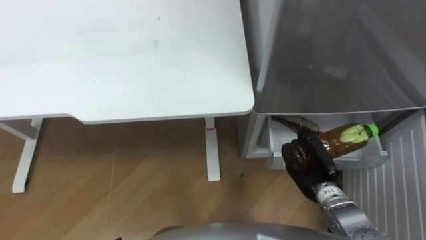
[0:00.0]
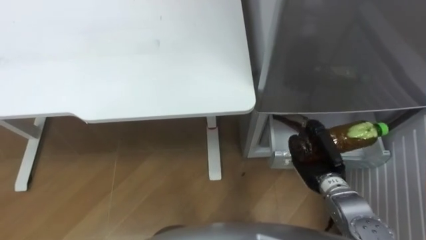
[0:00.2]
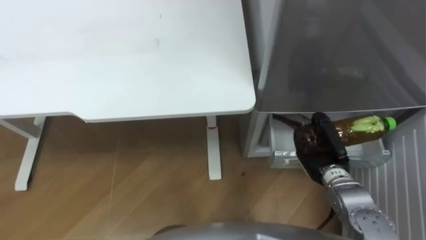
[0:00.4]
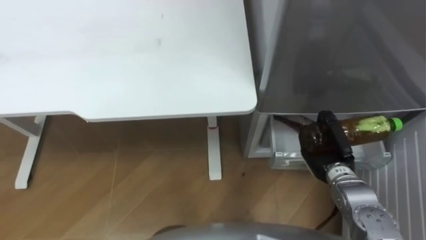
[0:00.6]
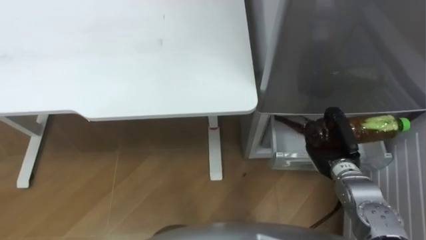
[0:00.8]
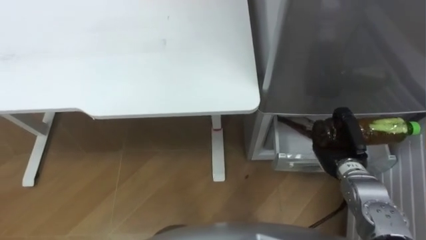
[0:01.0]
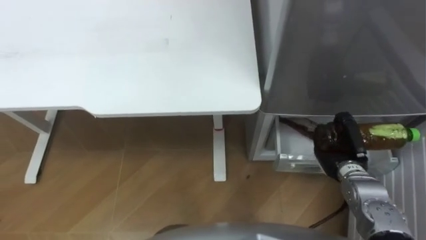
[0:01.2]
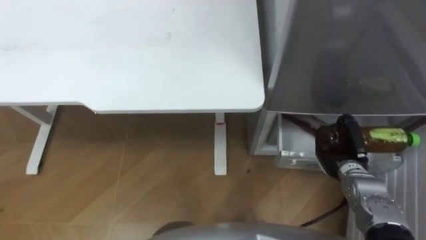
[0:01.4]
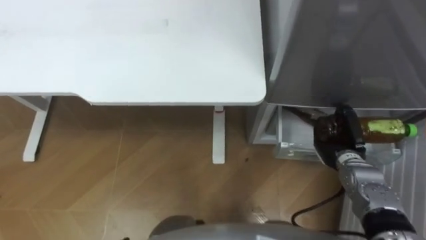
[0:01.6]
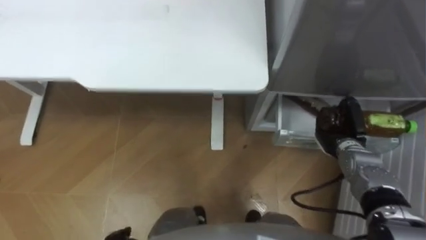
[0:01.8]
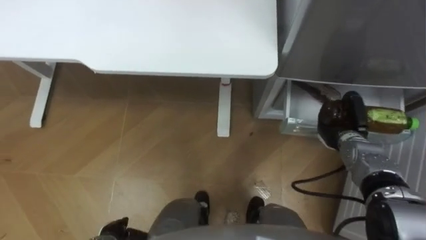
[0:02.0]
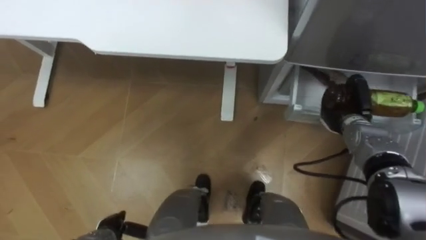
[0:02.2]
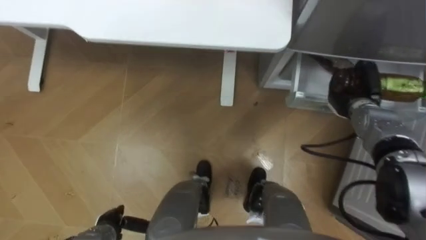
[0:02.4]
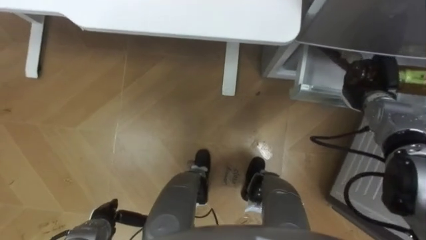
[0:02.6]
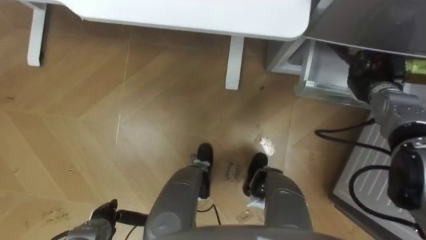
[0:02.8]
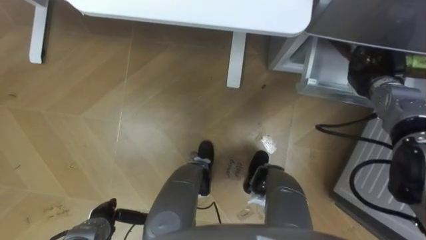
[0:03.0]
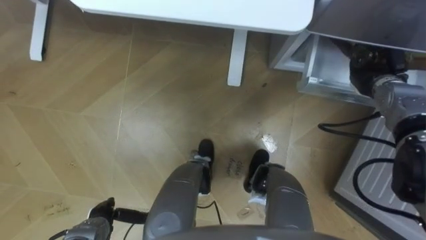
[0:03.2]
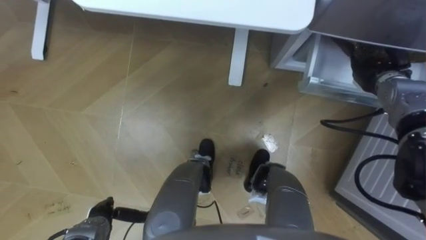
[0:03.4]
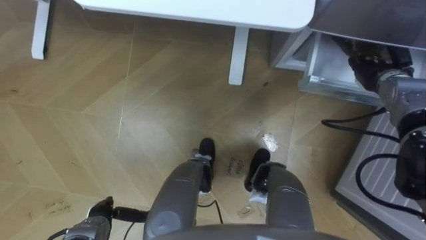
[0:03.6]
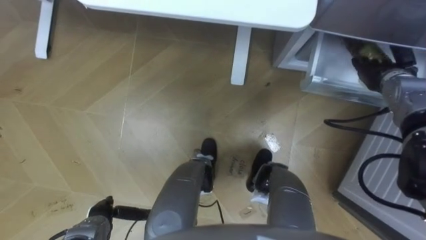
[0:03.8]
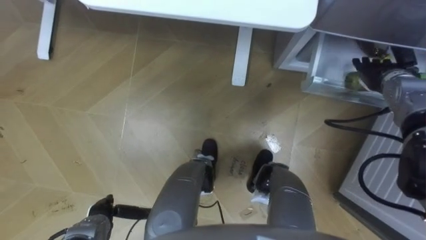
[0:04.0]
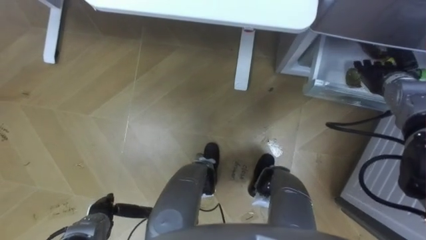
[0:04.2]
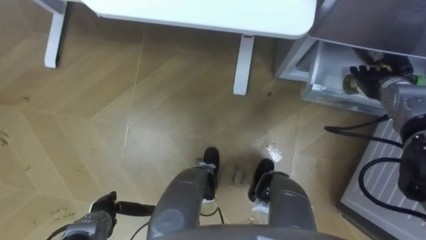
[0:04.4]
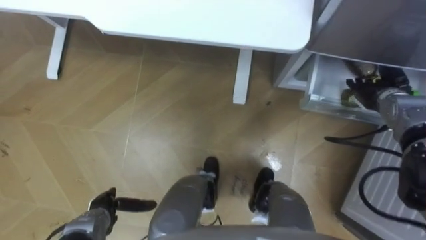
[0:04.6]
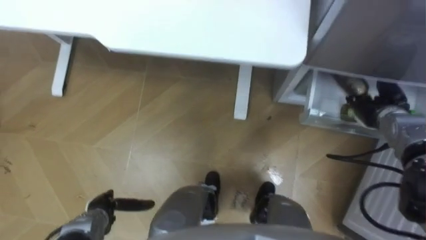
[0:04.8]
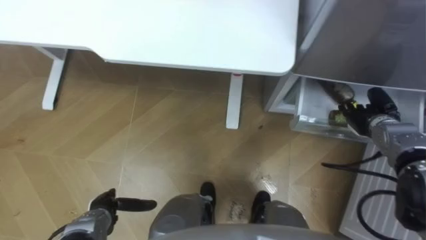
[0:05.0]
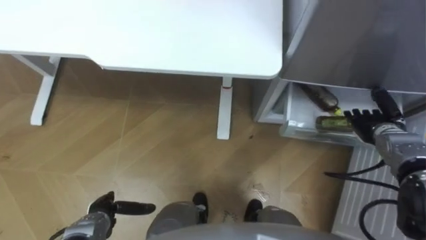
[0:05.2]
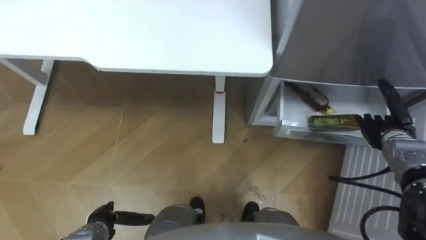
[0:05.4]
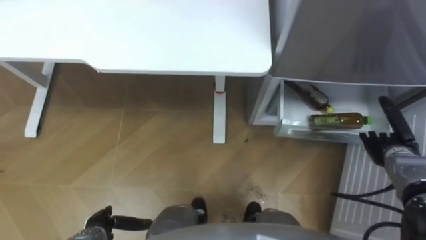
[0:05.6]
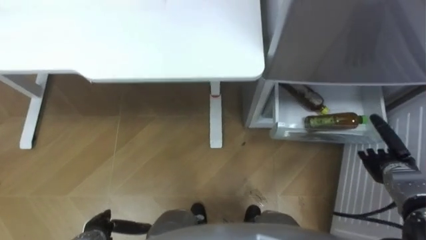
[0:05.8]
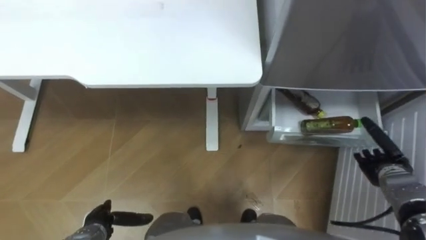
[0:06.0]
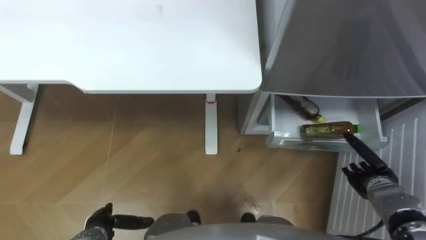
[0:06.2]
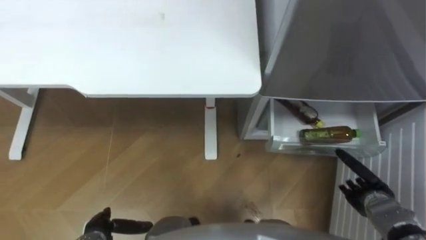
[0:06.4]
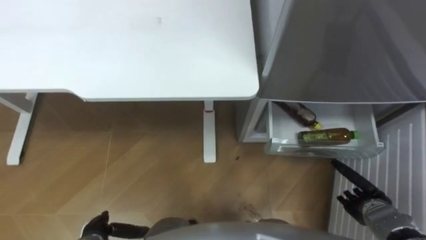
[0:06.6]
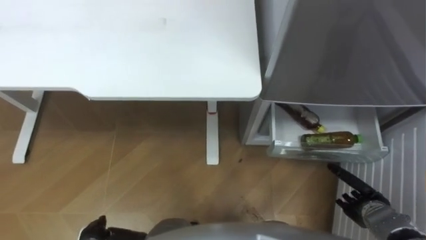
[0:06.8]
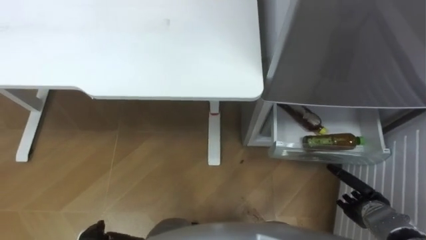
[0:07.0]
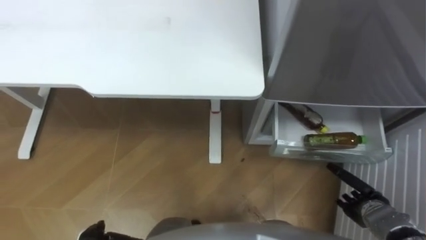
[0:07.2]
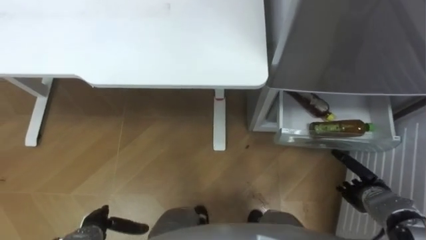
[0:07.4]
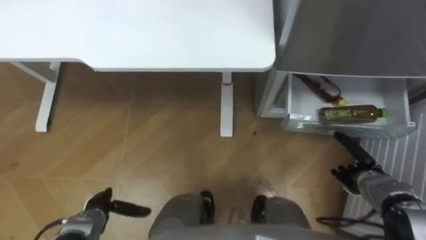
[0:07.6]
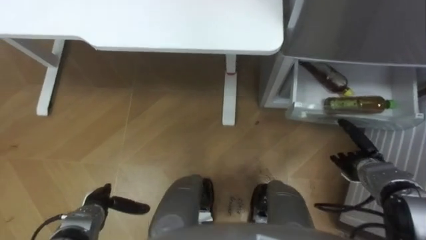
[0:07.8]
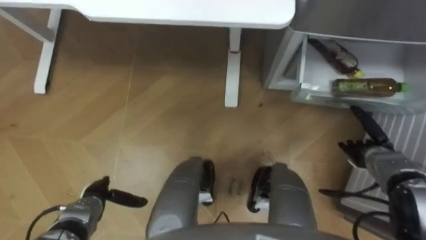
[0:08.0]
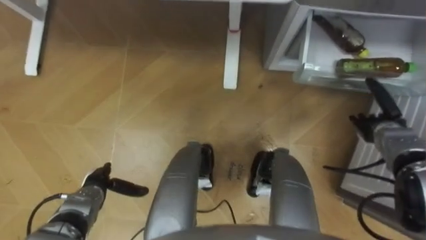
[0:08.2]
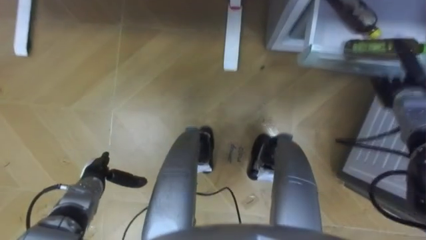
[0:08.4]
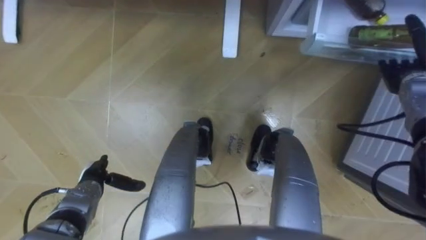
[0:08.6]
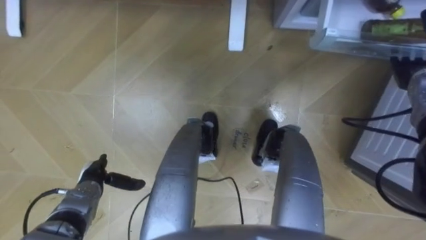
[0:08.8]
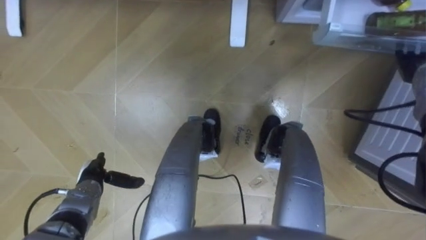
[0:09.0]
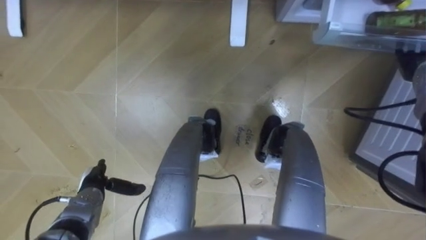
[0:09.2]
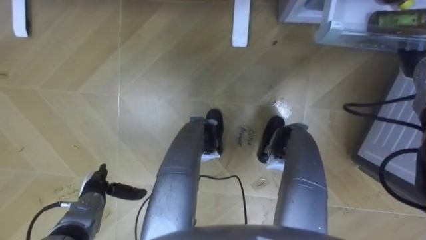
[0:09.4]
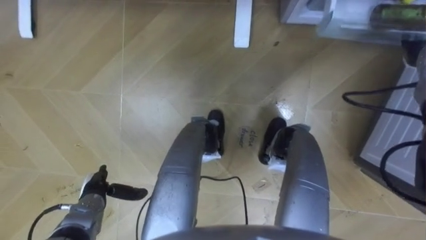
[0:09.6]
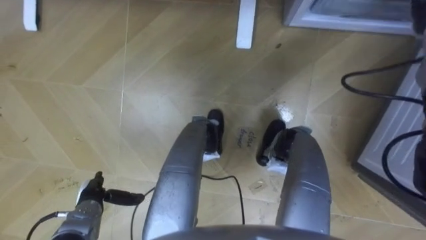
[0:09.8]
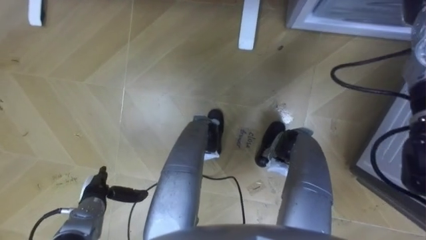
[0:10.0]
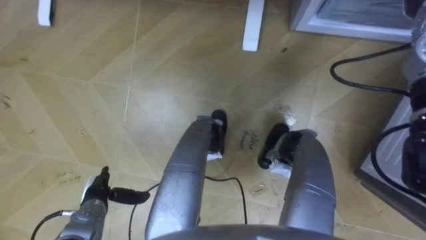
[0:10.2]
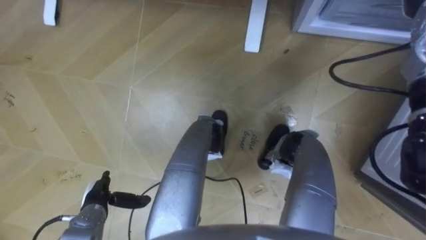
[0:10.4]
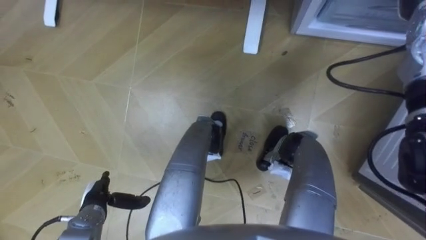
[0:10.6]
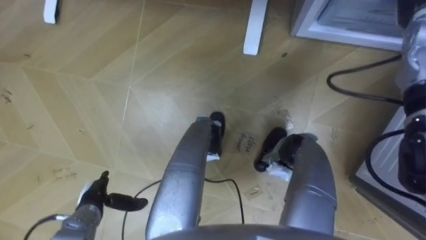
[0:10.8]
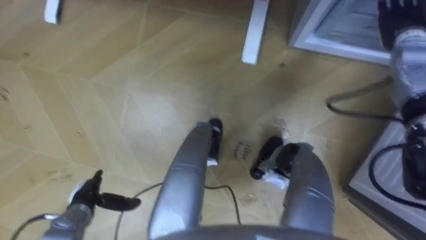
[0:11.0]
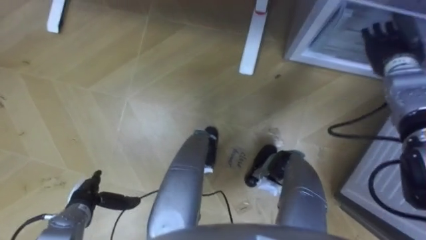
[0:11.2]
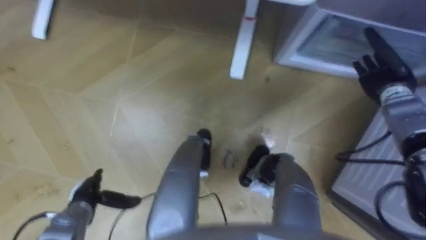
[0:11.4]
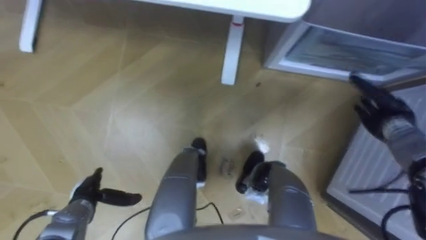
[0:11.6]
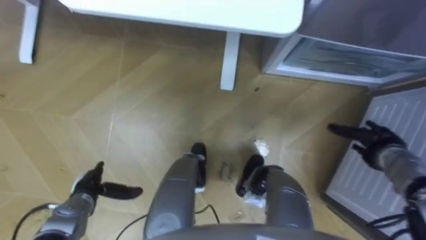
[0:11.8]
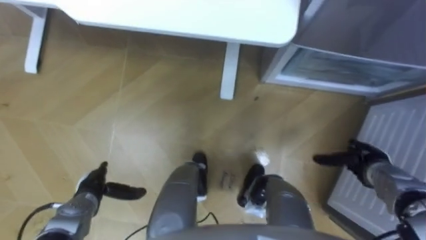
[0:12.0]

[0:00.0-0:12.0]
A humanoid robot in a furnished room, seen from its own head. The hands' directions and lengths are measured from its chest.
Task of the whole recording: Place the drink on the table on the bottom shelf of the refrigerator, then close the drawer and the refrigerator door.
0:00.0 to 0:01.6: The right hand travels to the right and forward by roughly 10 cm.
0:01.6 to 0:03.0: The right hand heads forward, upward and to the right, covering some 15 cm.
0:03.0 to 0:04.4: The right hand opens its fingers.
0:04.4 to 0:06.0: The right hand goes roughly 20 cm backward and downward.
0:06.0 to 0:07.6: The right hand moves some 10 cm backward and comes back.
0:07.6 to 0:09.0: The right hand travels upward and forward by roughly 25 cm; the left hand moves forward, about 5 cm.
0:09.0 to 0:10.4: The left hand ends up some 5 cm from where it was.

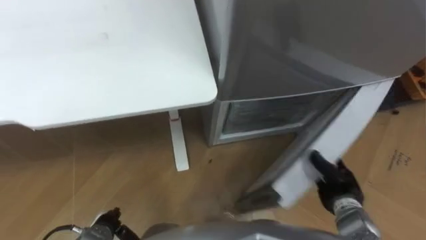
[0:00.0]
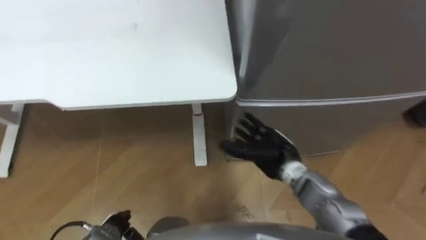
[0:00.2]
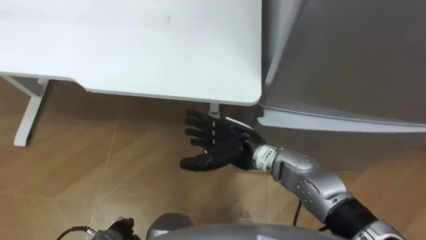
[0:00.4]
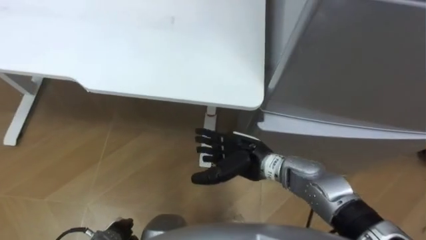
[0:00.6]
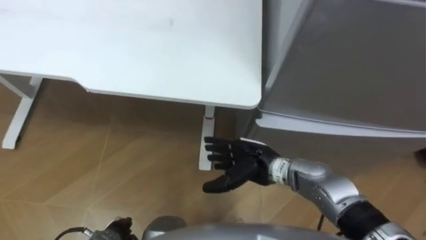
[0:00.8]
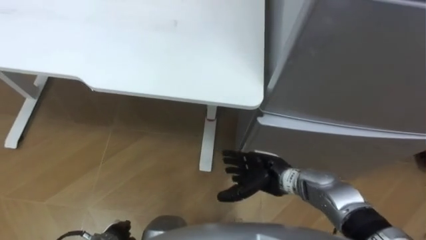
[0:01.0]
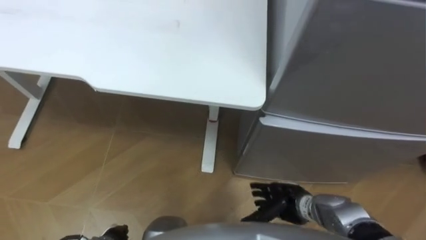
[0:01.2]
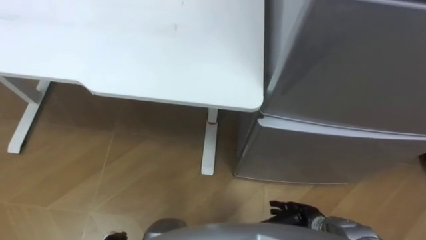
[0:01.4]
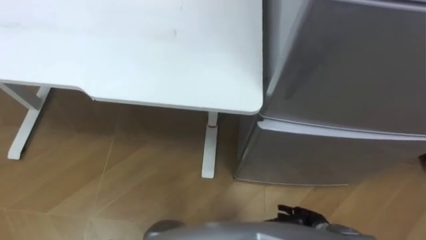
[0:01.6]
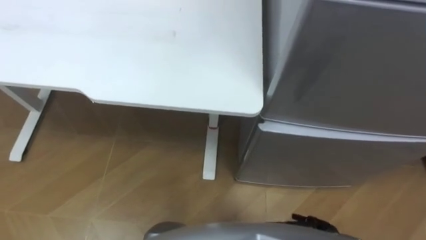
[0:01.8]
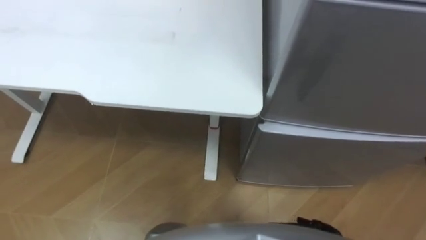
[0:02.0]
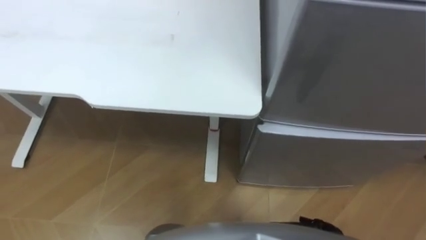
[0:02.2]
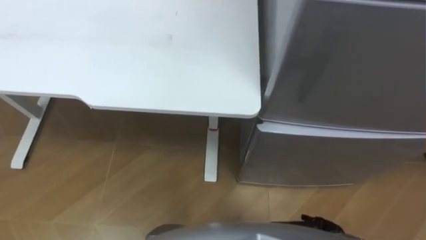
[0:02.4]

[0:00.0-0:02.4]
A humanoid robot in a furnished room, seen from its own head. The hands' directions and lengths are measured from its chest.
Task of the whole recording: Place the drink on the table on the bottom shelf of the refrigerator, then close the drawer and the refrigerator door.
0:00.0 to 0:01.2: The right hand shifts about 15 cm to the left.

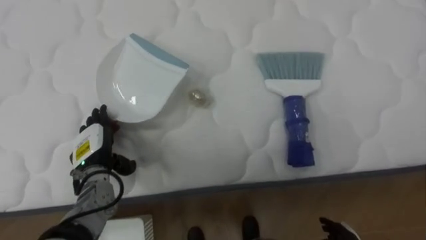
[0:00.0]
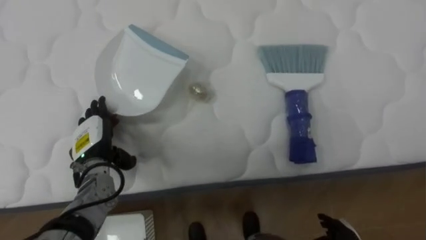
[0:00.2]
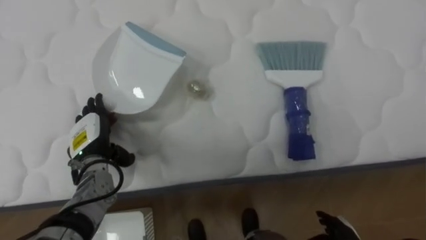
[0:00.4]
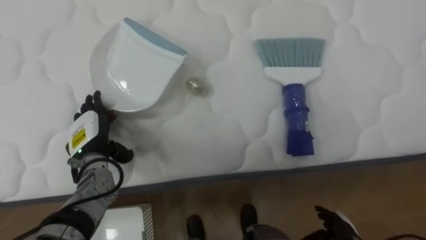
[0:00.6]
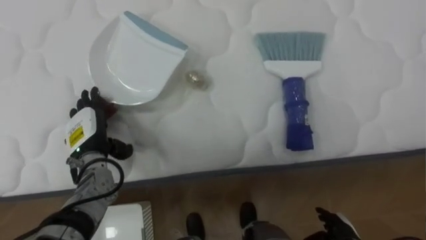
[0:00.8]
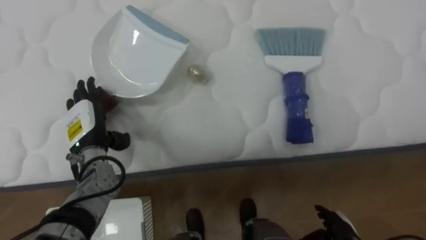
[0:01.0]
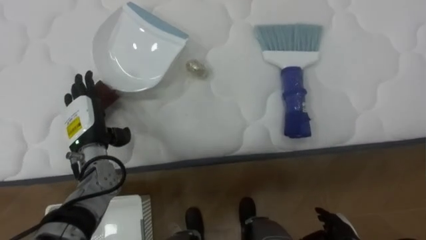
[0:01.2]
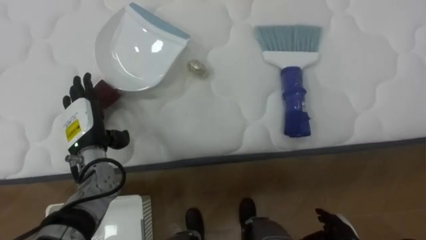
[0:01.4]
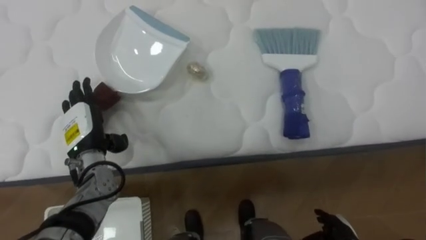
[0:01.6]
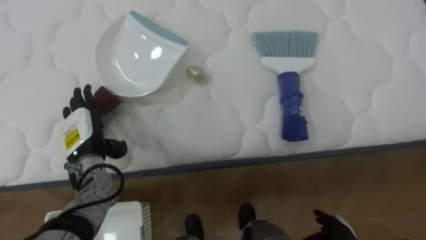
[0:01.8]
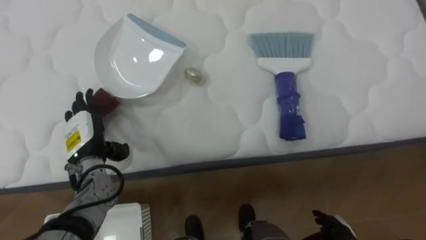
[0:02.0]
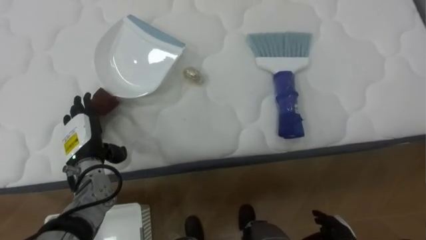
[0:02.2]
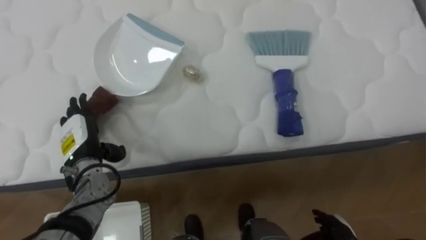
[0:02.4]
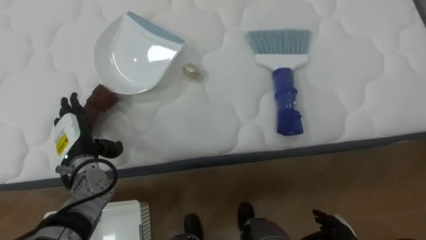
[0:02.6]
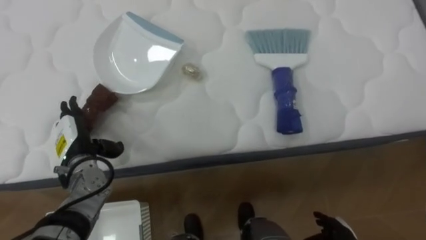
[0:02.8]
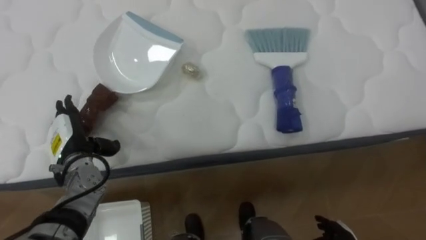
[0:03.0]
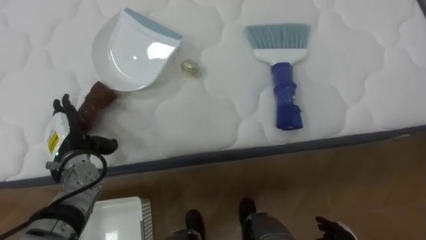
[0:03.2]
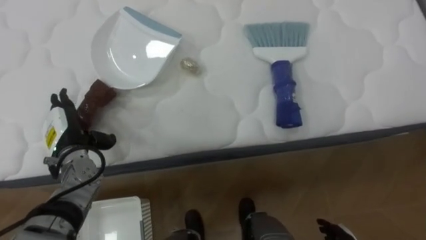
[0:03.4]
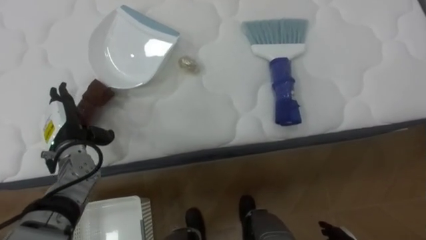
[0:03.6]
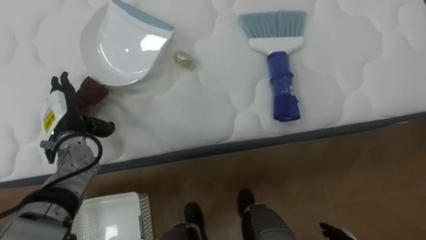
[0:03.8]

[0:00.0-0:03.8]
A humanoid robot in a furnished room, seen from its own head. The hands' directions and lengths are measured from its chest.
Task of the whole recording: Pick up the brush on your right and the dustpan on your left. Use the brush to sweep the crumpled paper on the bed into the dustpan, then turn left and empty it into the basket.
0:00.0 to 0:01.2: The left hand moves upward, some 5 cm.
